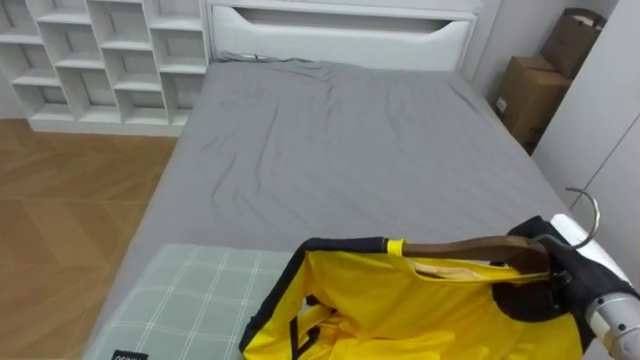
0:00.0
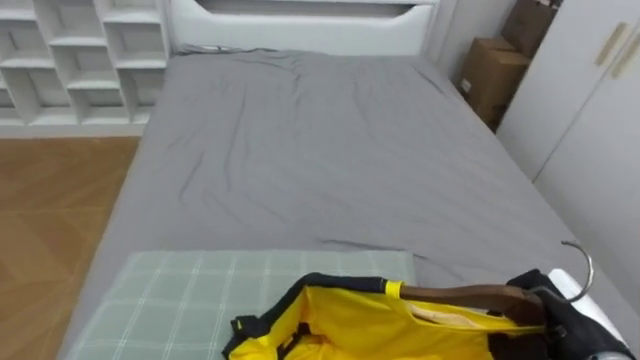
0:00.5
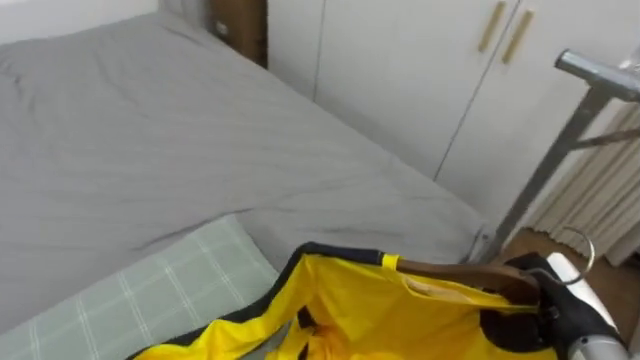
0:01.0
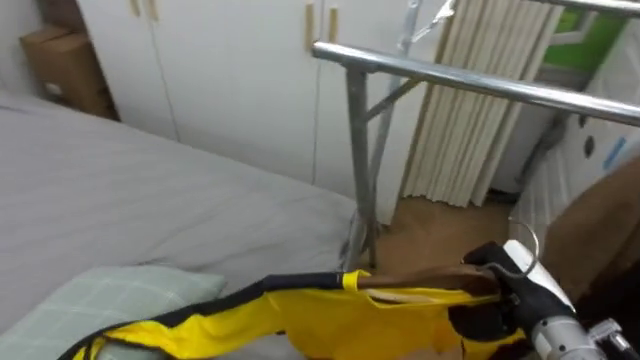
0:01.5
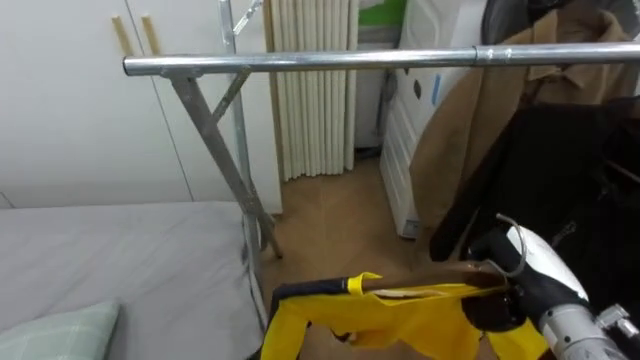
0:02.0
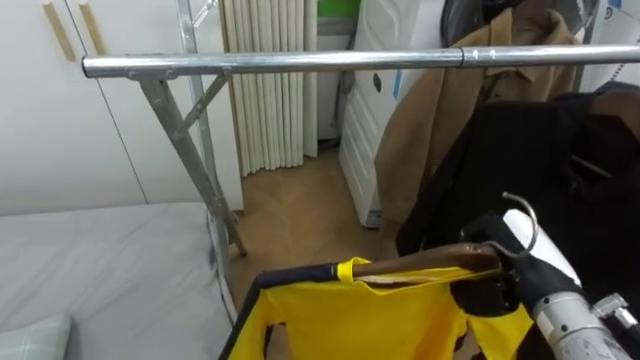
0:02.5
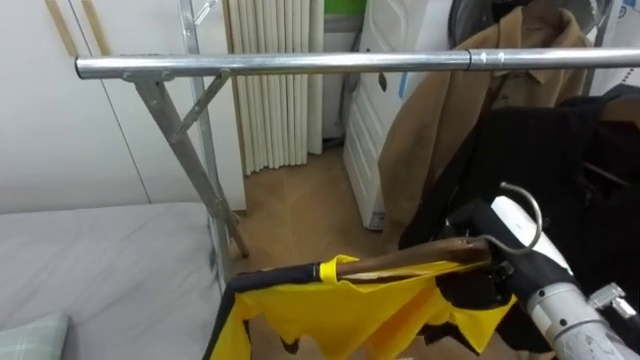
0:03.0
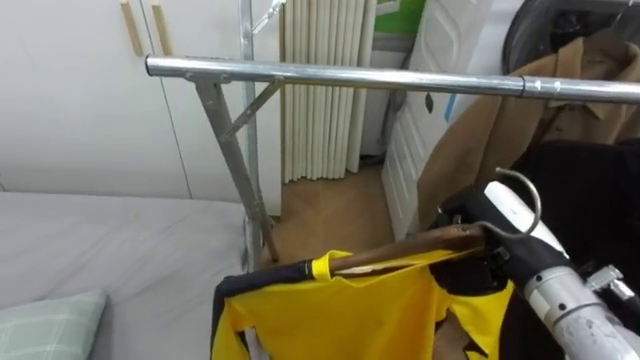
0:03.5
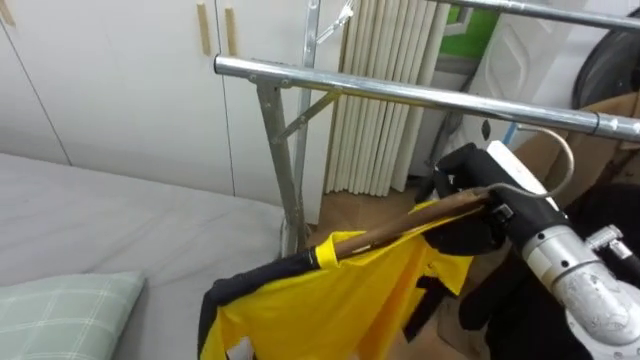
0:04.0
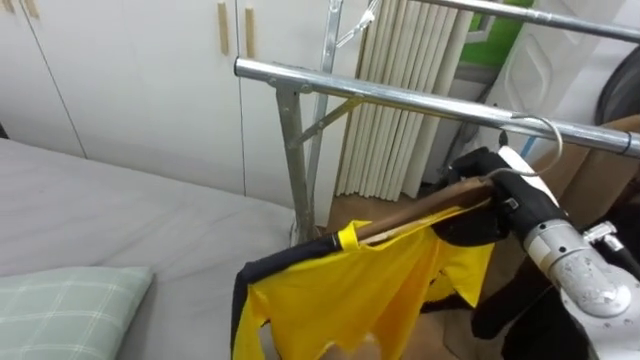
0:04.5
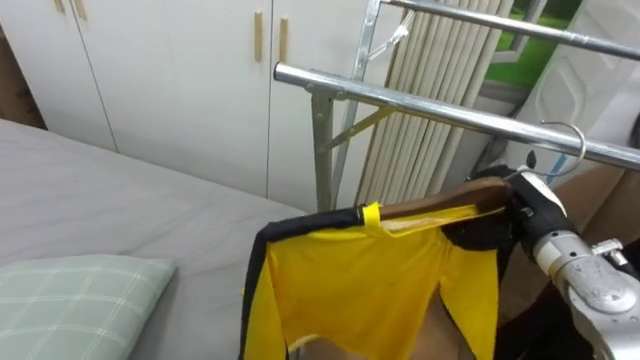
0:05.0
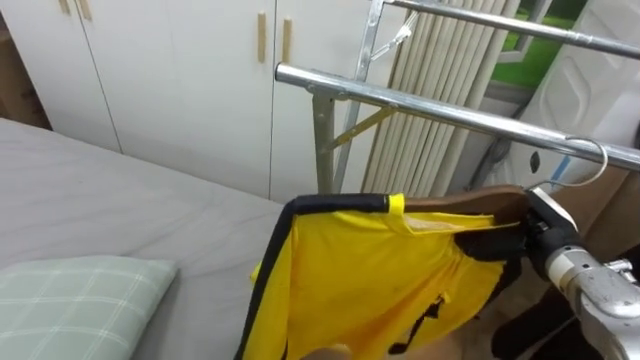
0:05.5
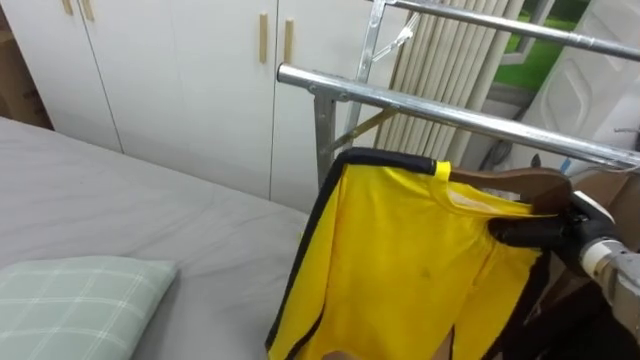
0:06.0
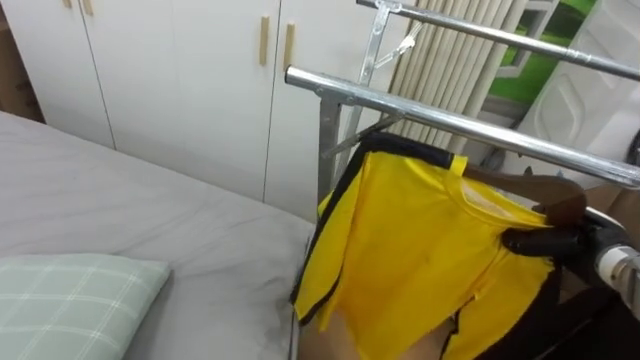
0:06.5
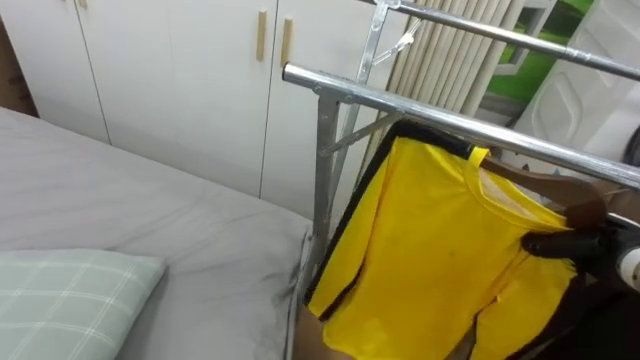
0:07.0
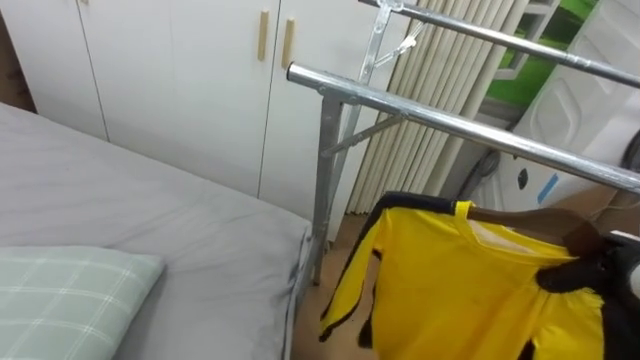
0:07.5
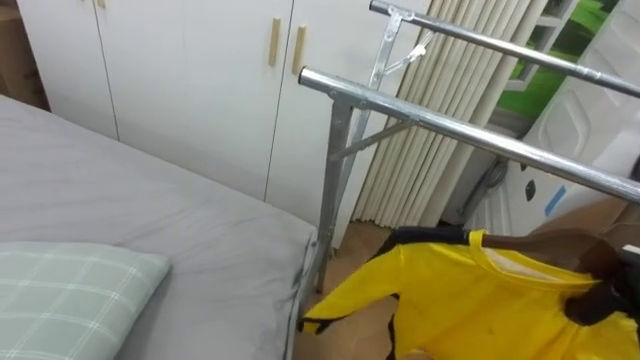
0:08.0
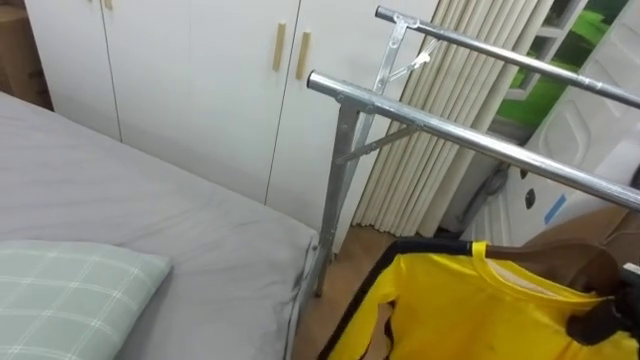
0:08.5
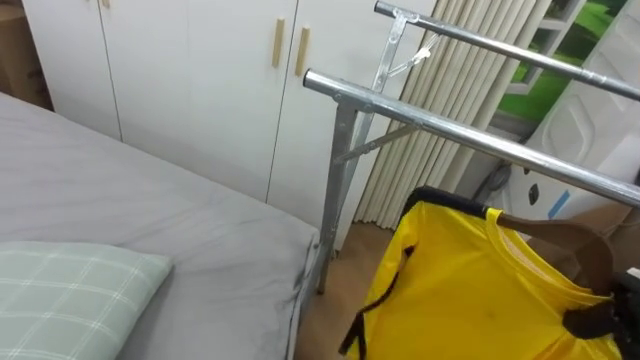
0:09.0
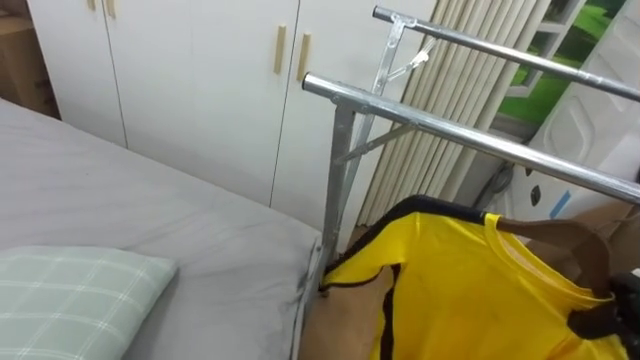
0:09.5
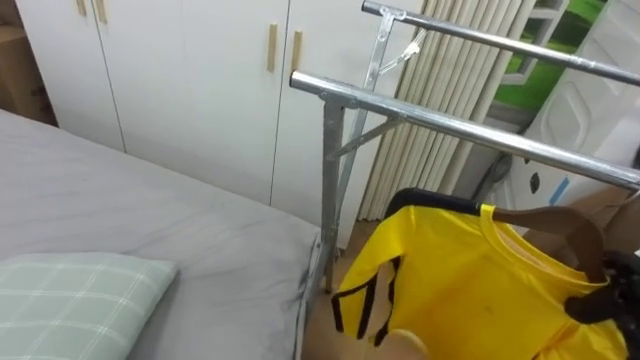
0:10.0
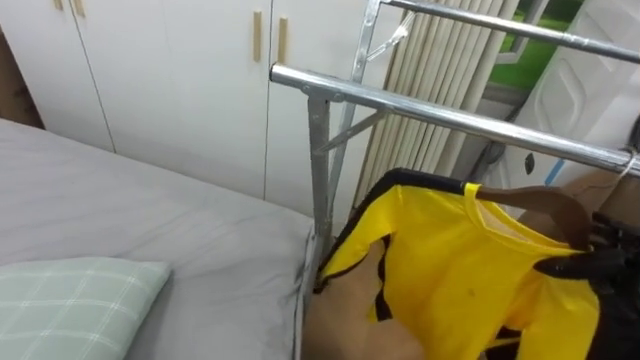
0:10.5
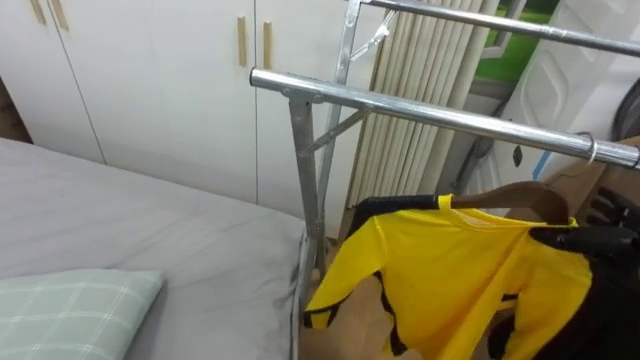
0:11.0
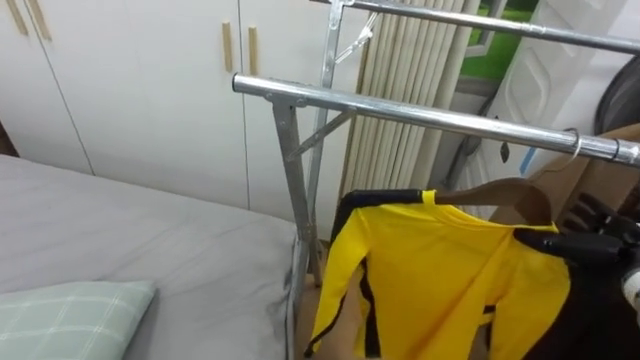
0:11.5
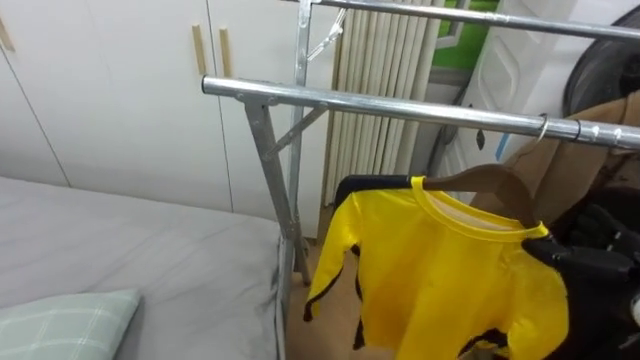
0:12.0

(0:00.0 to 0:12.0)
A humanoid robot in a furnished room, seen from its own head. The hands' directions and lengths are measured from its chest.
Task of the whole recording: Pick up the yellow shirt on the bed and hang it on the clothes rack on the right.
0:00.0 - 0:02.0: The robot's body swings roughly 90 degrees to its right.
0:02.0 - 0:04.0: The right hand is displaced upward by about 10 cm.
0:04.0 - 0:06.0: The right hand is displaced to the right and downward by roughly 15 cm.
0:06.0 - 0:08.0: The right hand is displaced to the right by some 10 cm.
0:08.0 - 0:10.0: The right hand opens its fingers.

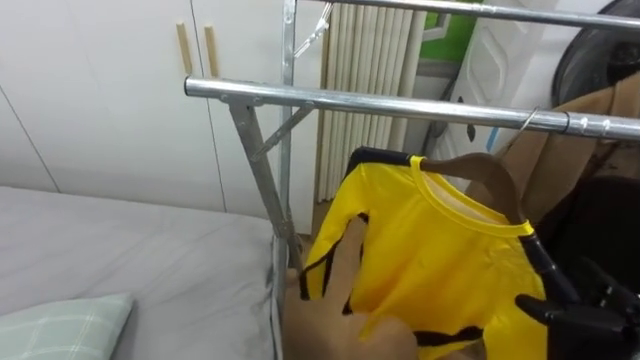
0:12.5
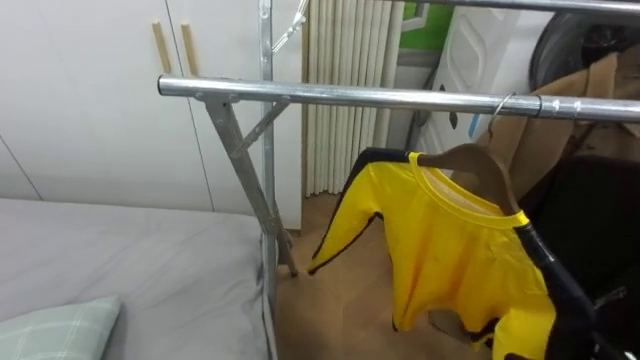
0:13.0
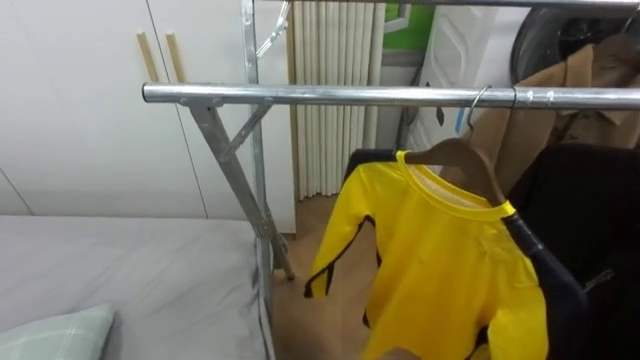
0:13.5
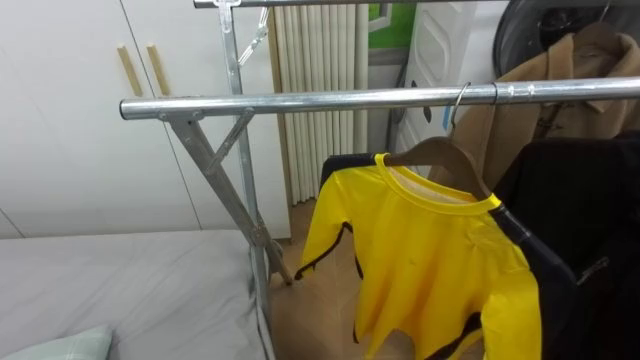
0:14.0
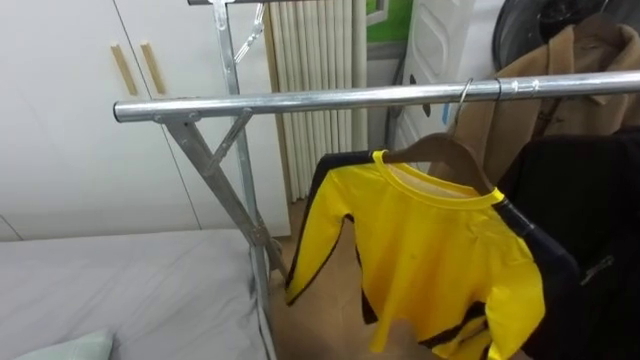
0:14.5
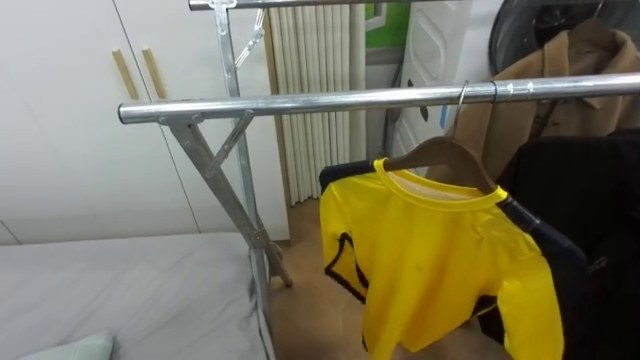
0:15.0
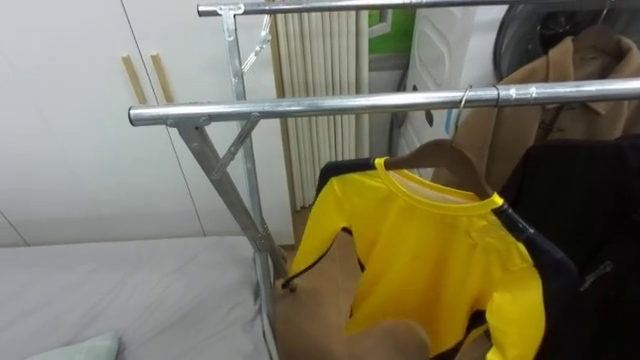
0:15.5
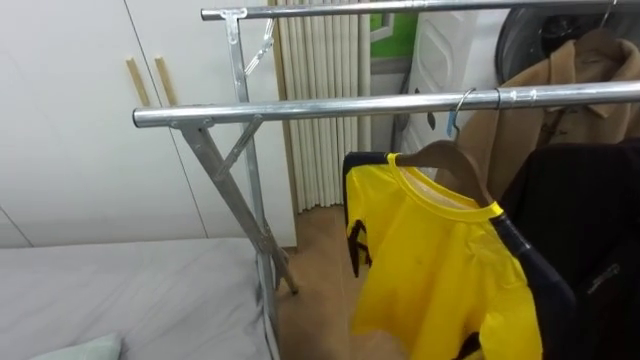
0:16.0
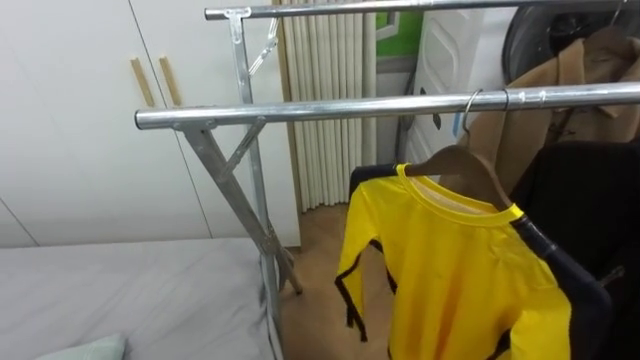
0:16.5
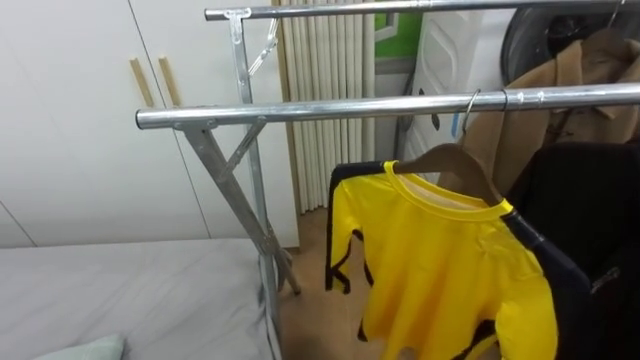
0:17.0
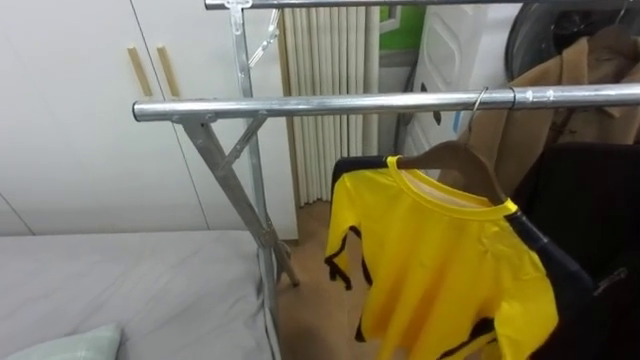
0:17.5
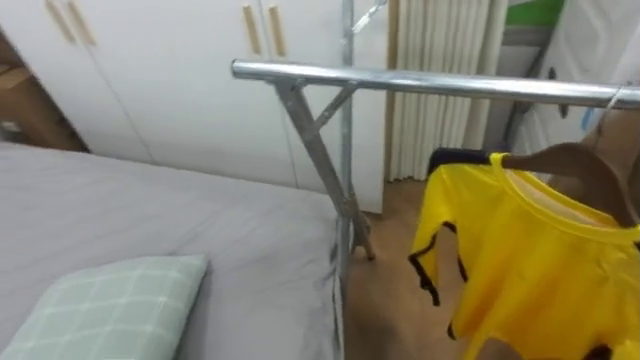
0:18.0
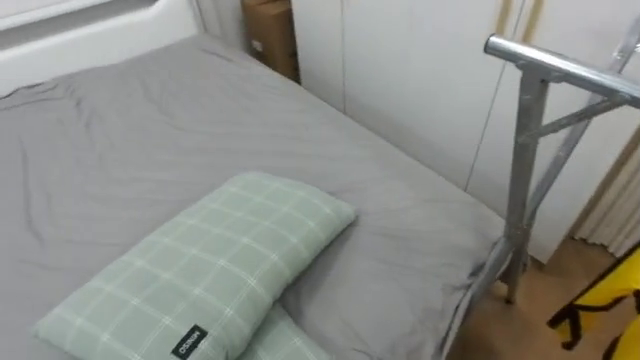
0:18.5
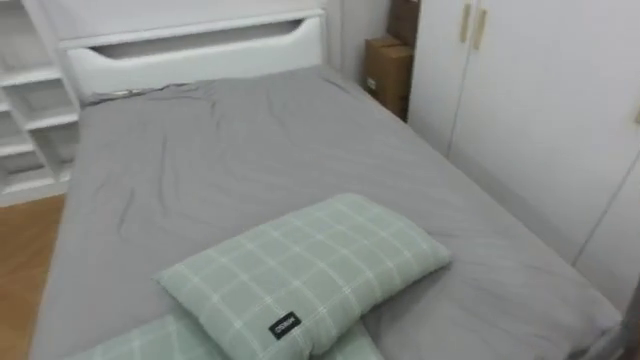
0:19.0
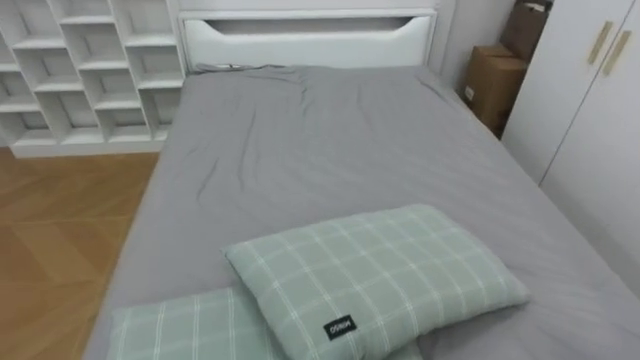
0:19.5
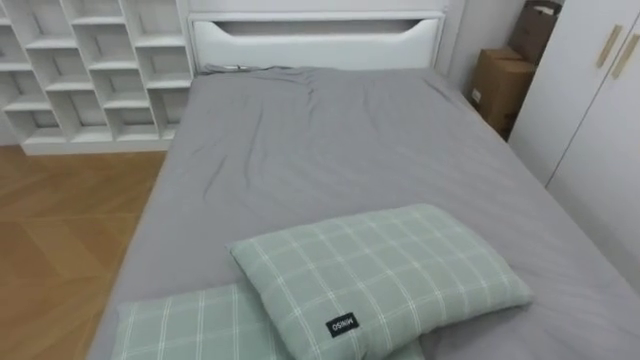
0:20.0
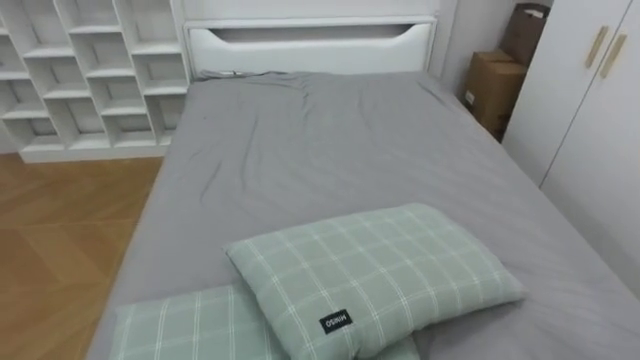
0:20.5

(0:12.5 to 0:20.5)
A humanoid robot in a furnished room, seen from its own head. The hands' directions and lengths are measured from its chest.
Task of the whole recording: Pick up the yellow shirt on the bed and hang it on the clothes rack on the right.
0:16.5 - 0:18.5: The robot's body swings approximately 50 degrees to its left.
0:18.5 - 0:20.5: The robot rotates some 35 degrees to its left.
